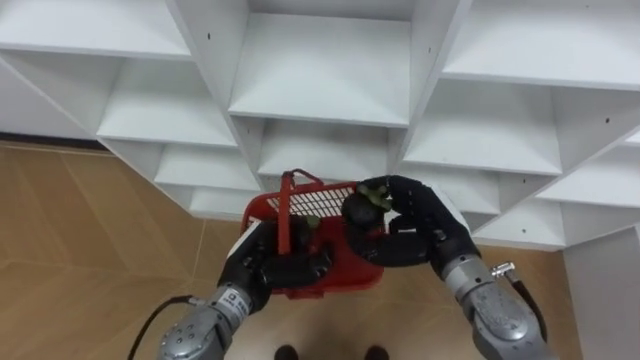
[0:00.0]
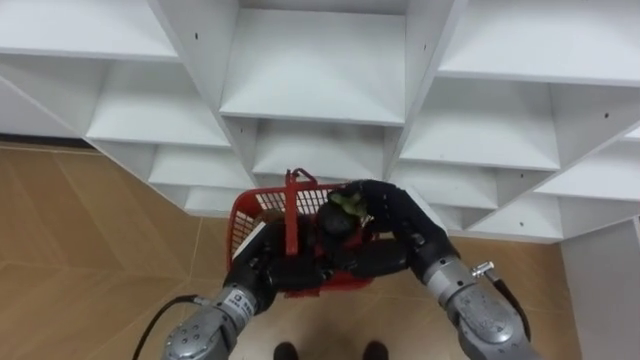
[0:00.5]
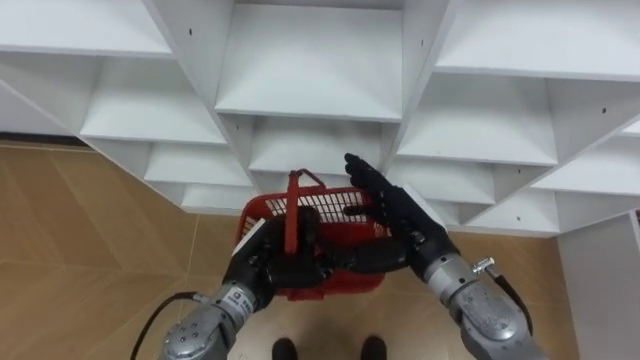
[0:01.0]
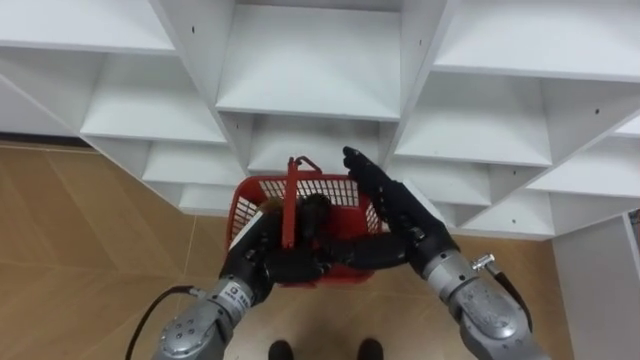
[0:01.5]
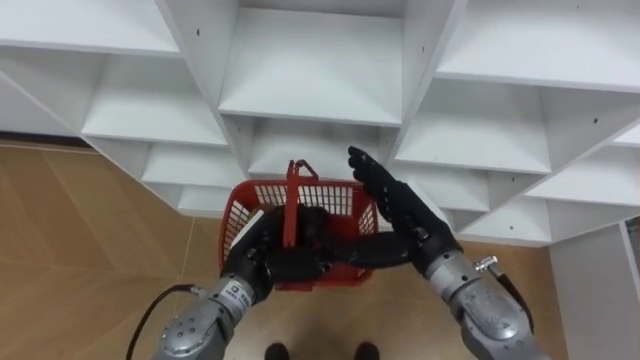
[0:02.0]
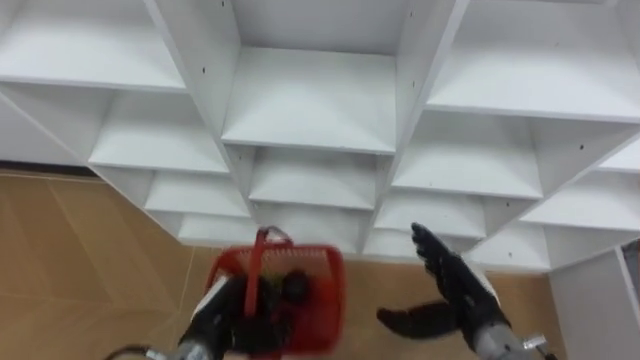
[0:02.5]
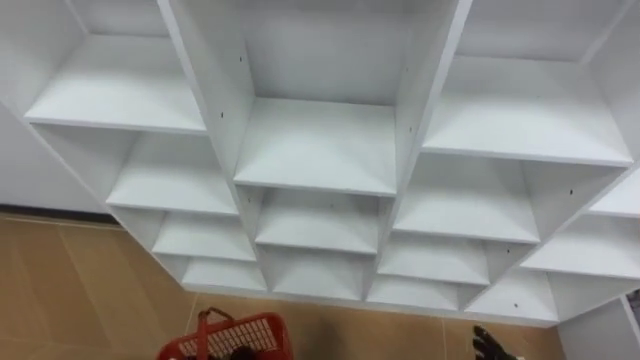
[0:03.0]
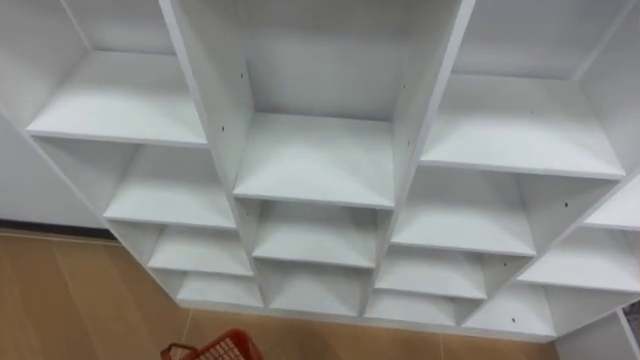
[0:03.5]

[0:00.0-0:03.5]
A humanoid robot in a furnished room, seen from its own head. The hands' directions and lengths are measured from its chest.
Task of the whole recording: Hold the basket and collect the fruits from 3 different cells of the closet into it.
0:00.0 to 0:02.0: The right hand opens.

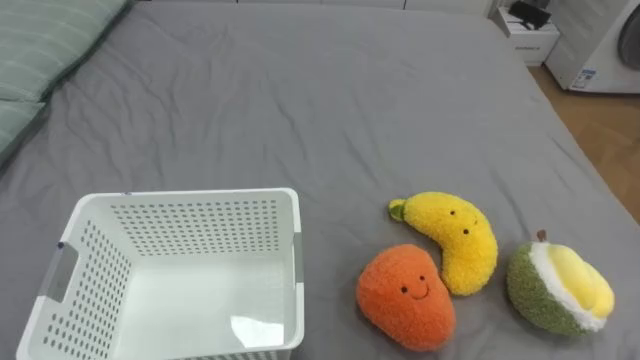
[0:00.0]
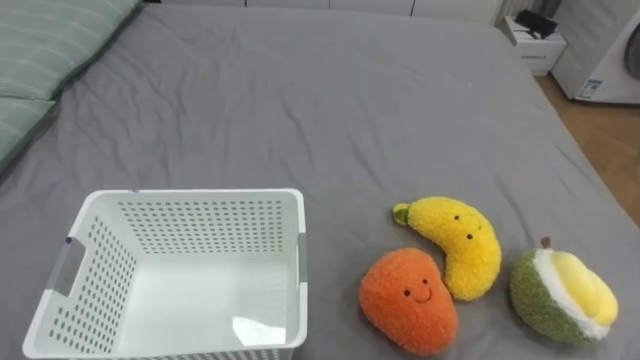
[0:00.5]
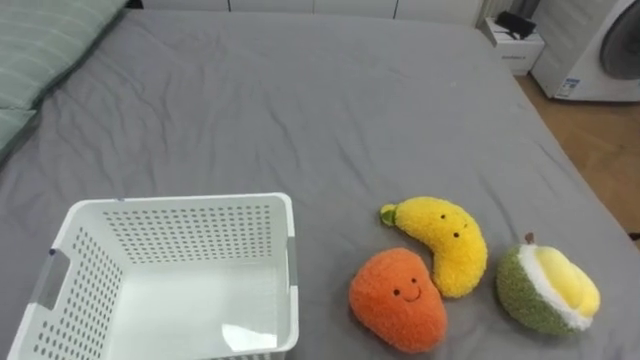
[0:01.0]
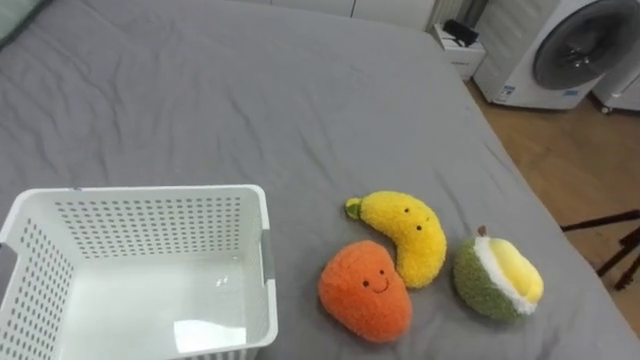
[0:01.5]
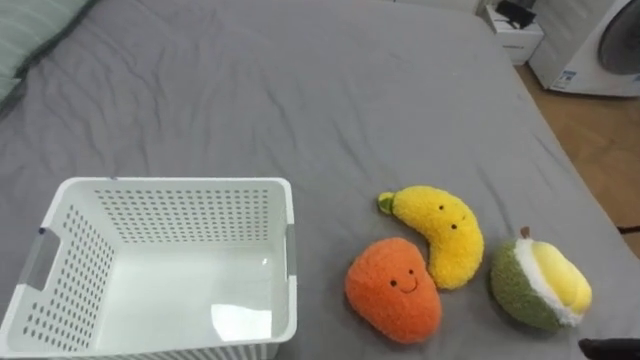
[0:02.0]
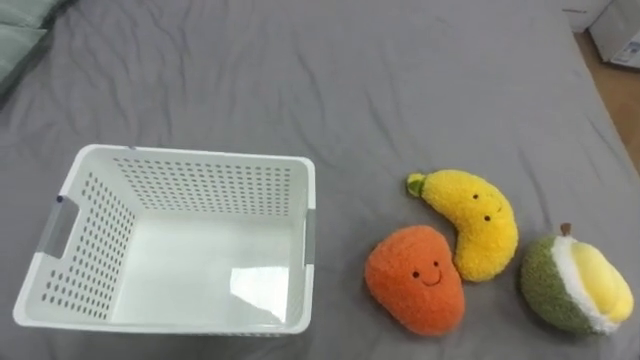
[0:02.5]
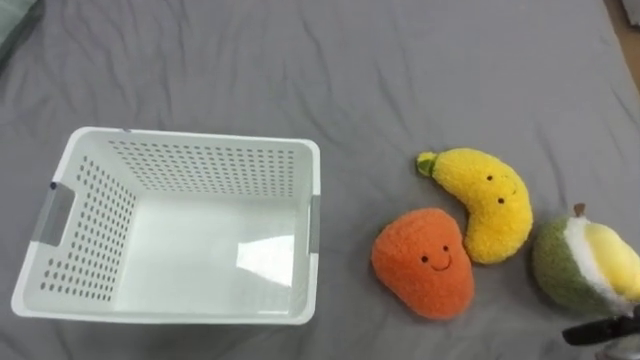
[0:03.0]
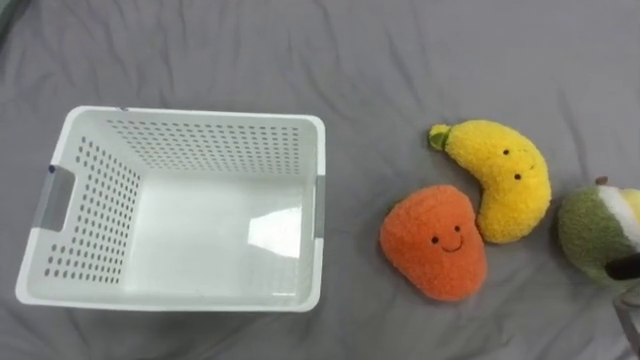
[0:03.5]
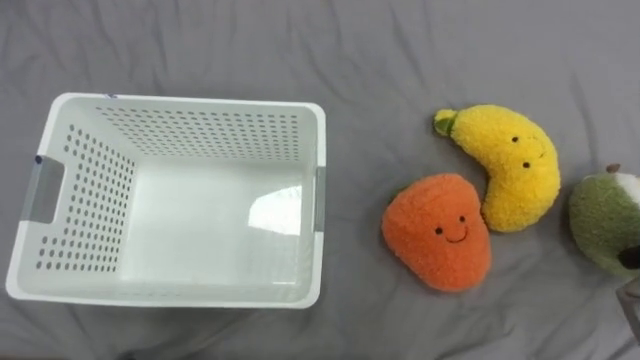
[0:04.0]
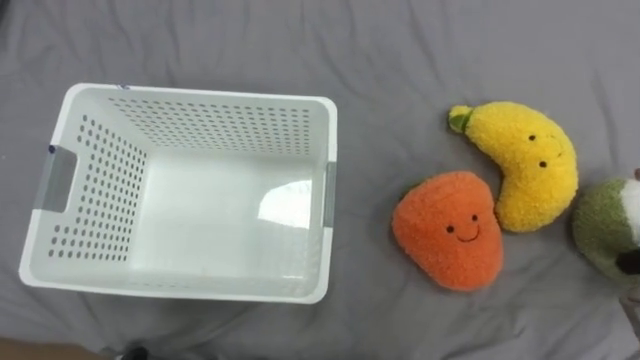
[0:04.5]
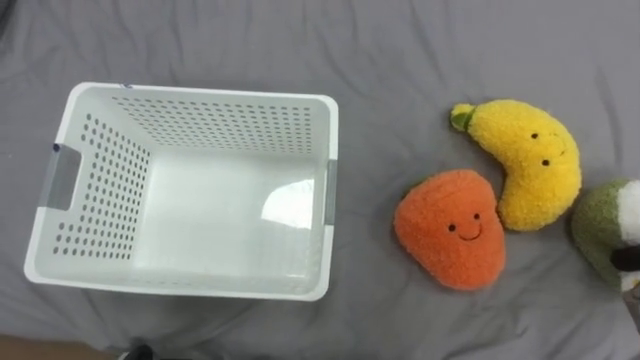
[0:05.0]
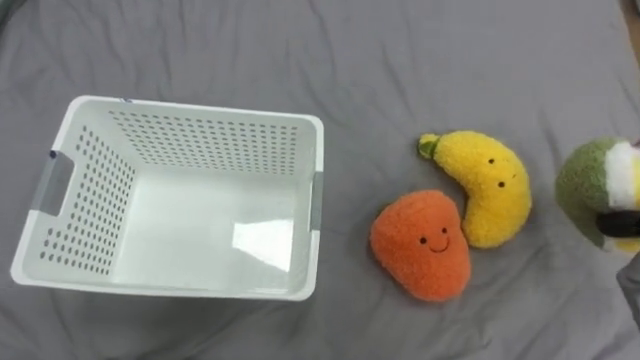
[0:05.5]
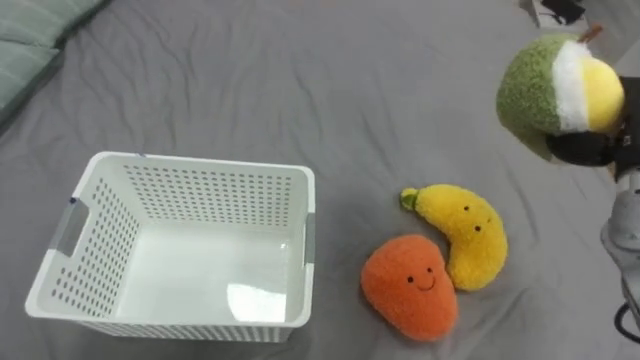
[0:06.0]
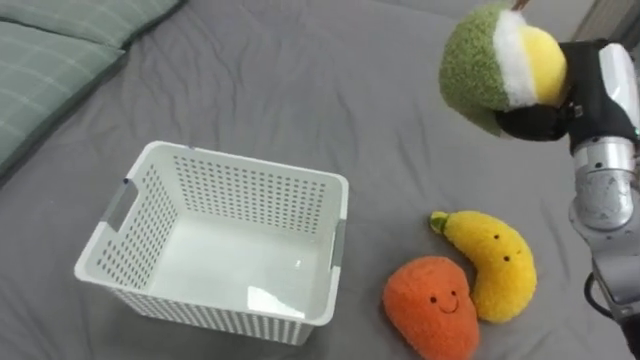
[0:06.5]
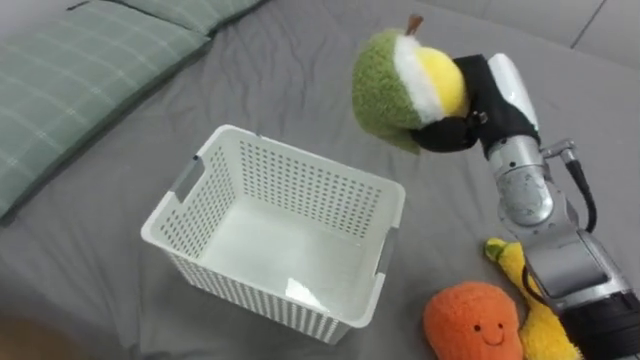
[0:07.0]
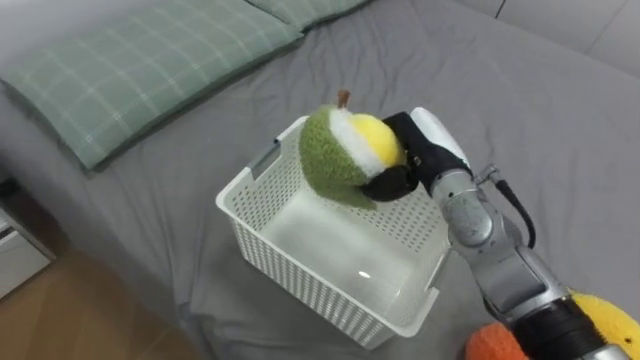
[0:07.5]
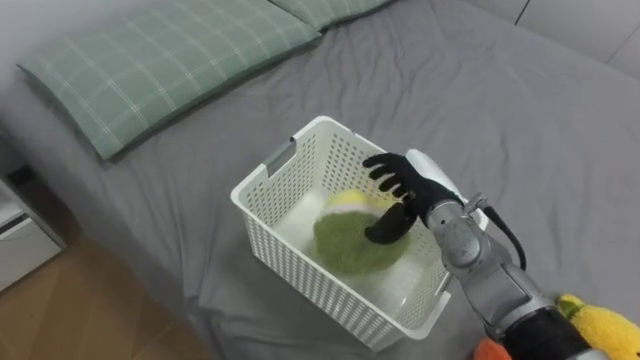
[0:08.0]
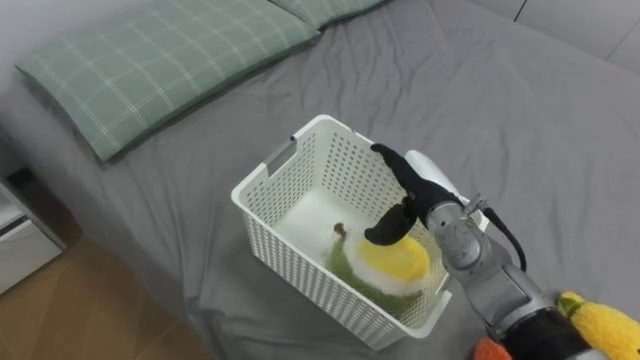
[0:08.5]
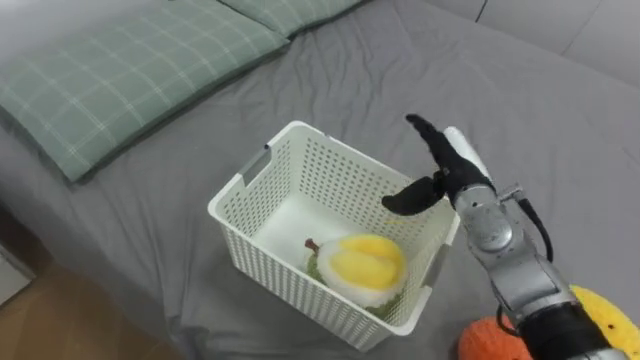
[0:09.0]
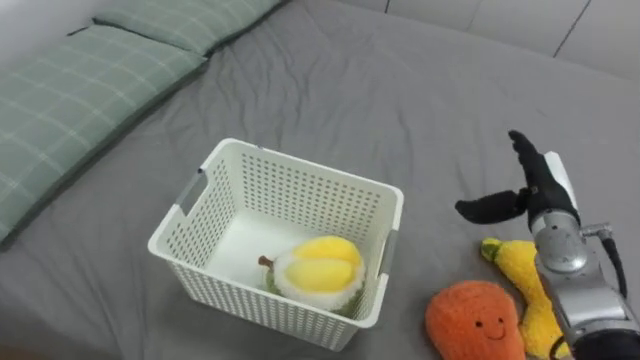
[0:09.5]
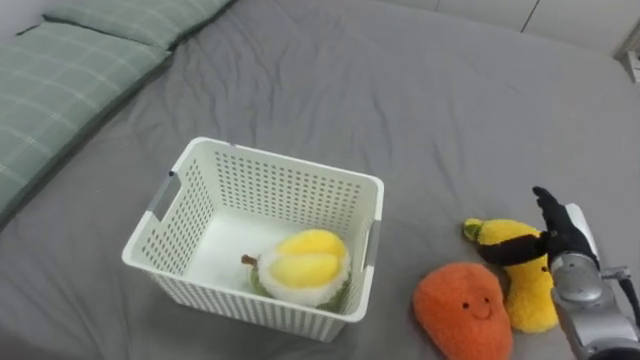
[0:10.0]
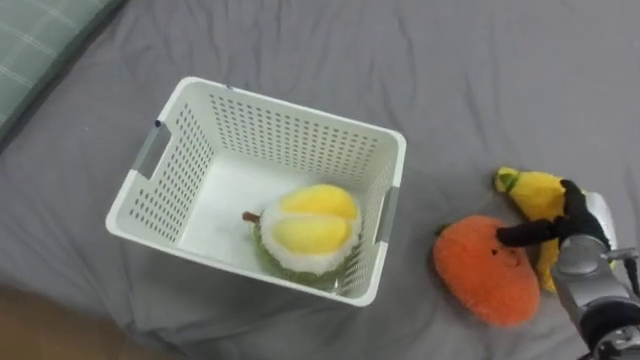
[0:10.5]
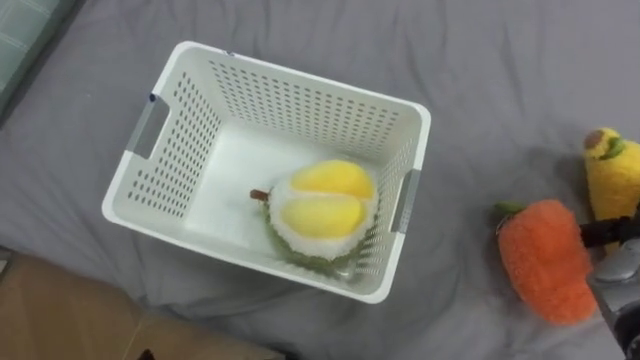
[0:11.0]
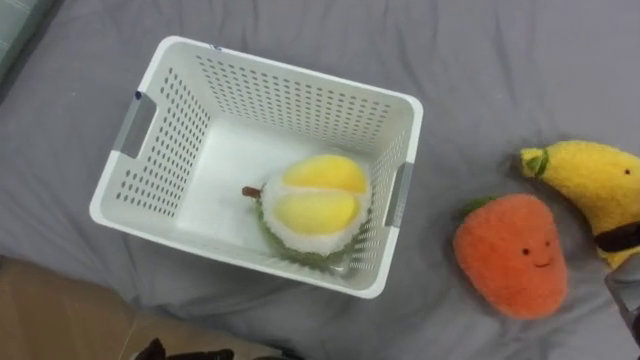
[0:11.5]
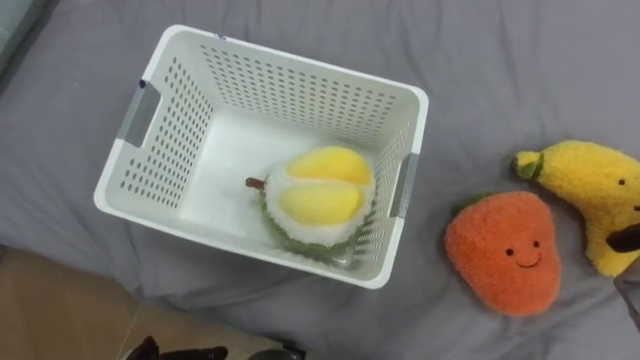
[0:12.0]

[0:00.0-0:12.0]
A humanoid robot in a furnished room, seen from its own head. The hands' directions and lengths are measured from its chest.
Task of the whole recording: Put the toys on the bed into the basket on the left.
0:08.0 to 0:10.0: The right hand is displaced to the right by some 20 cm.

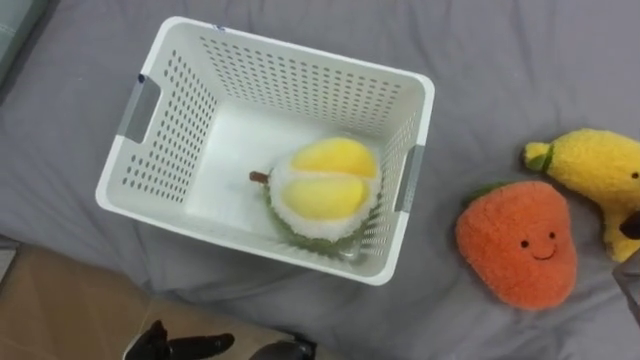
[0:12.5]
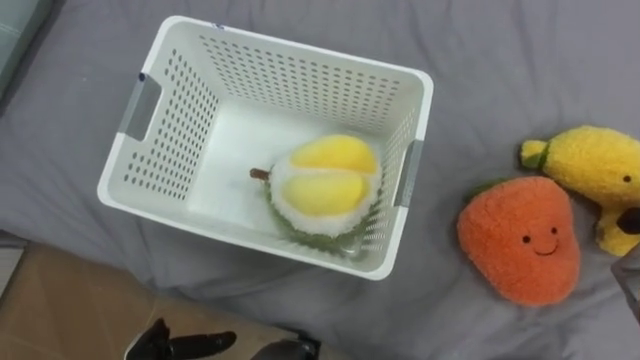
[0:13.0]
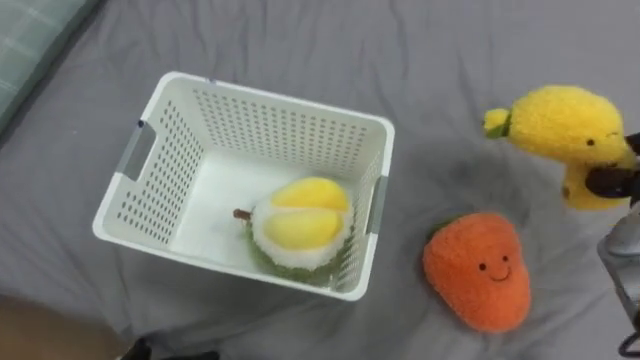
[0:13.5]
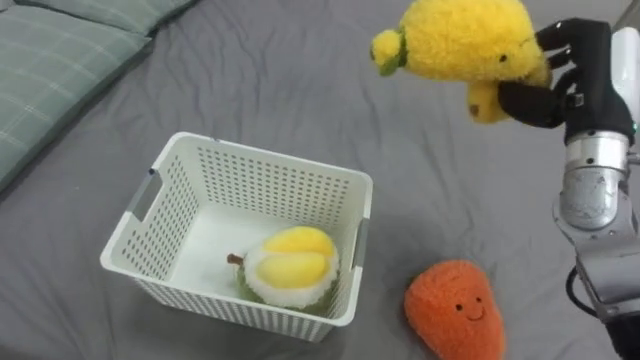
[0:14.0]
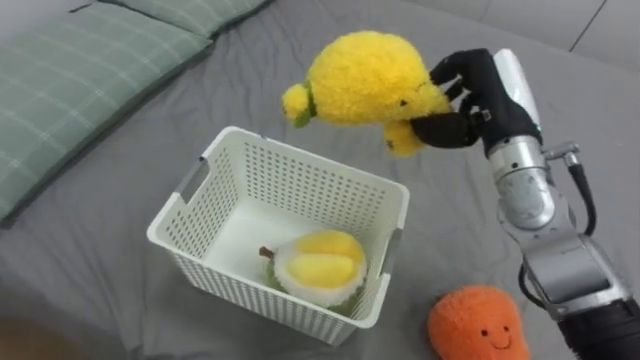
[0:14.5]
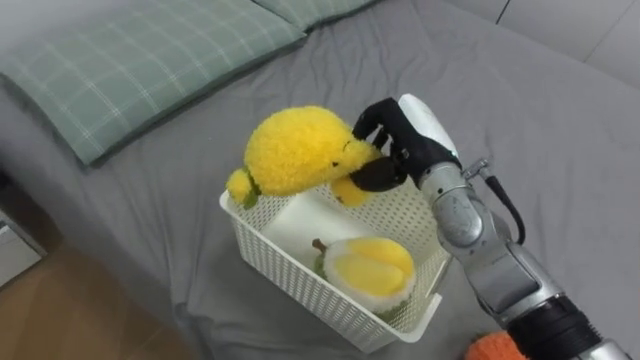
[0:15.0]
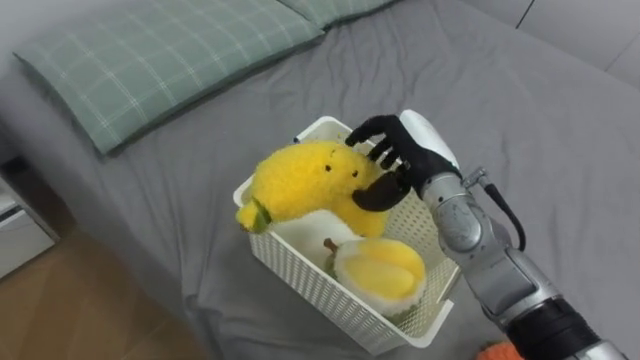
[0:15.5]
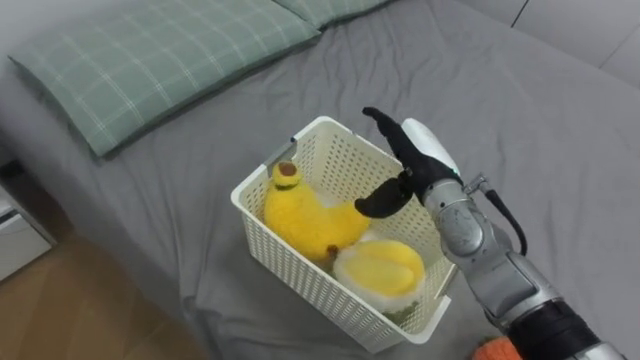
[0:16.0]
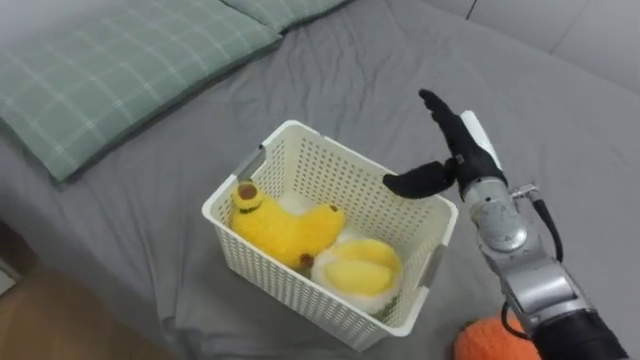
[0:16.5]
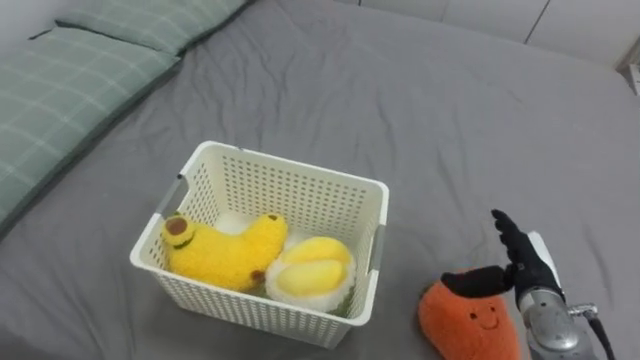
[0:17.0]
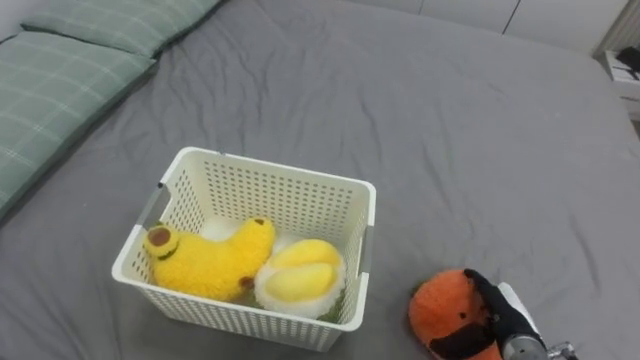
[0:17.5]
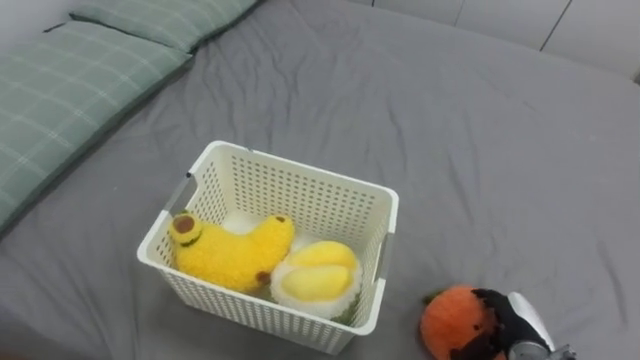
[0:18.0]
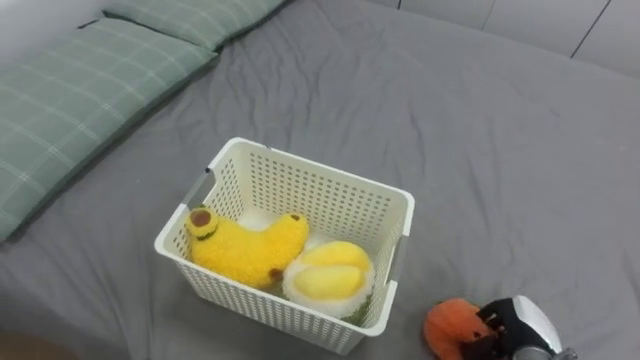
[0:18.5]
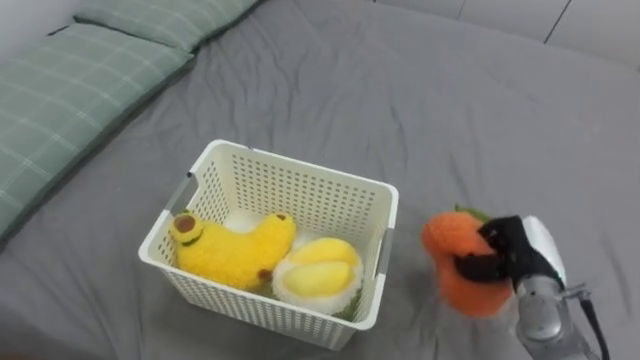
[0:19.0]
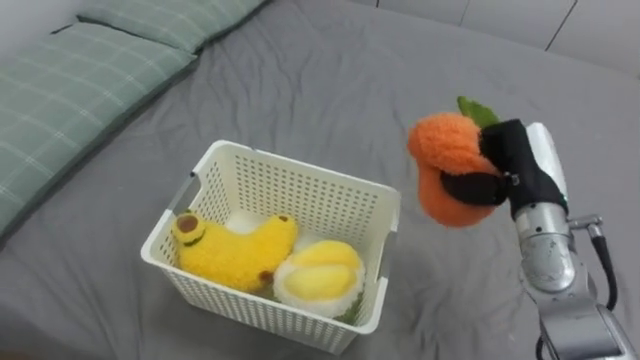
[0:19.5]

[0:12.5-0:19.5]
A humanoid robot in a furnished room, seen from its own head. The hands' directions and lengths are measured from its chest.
Task of the whole recording: Put the toys on the bed into the basket on the left.
0:14.5 to 0:16.0: The right hand is displaced downward and to the left by about 10 cm, and opens.
0:16.0 to 0:17.5: The right hand shifts approximately 25 cm downward, backward and to the right.
0:17.5 to 0:19.5: The right hand shifts roughly 20 cm upward and forward, and closes up.
